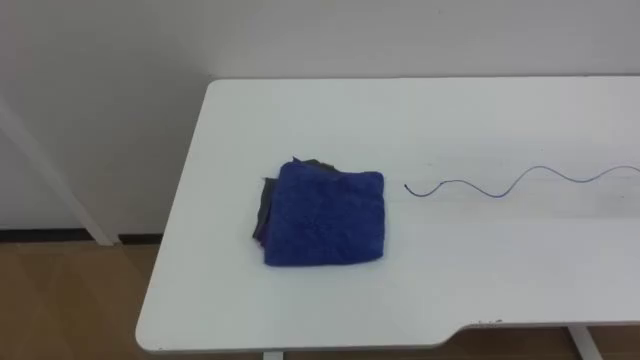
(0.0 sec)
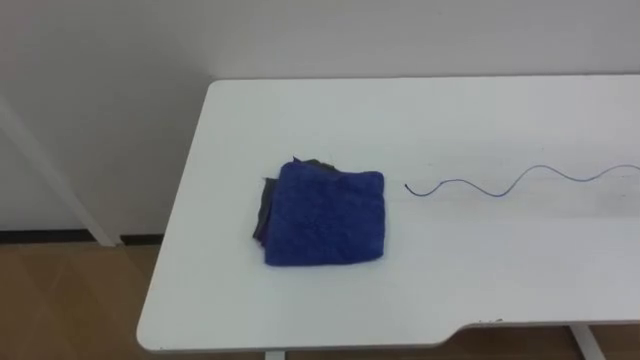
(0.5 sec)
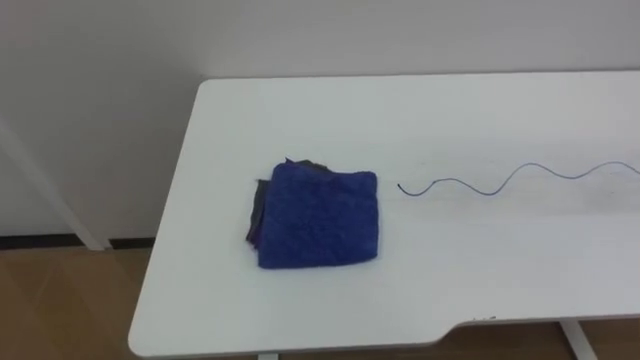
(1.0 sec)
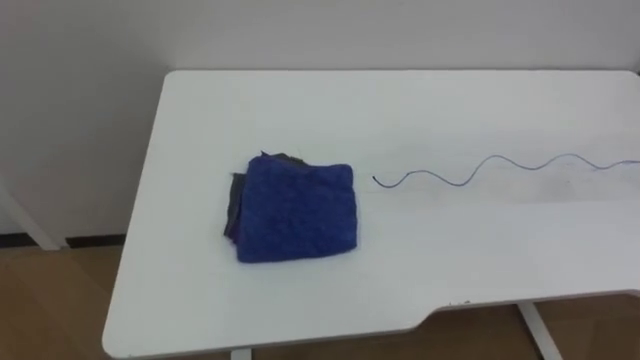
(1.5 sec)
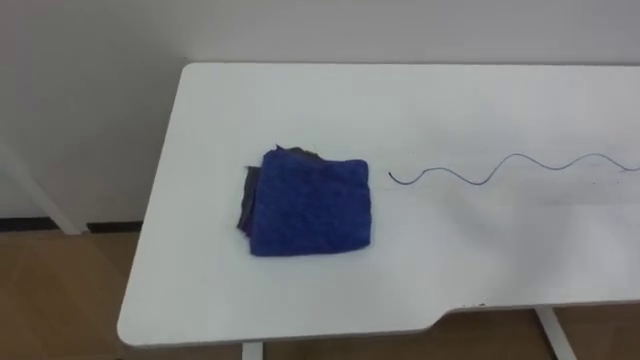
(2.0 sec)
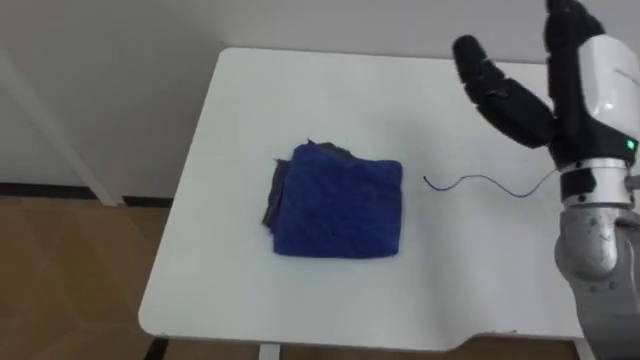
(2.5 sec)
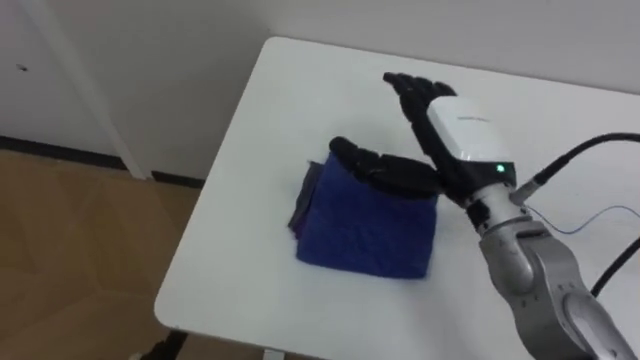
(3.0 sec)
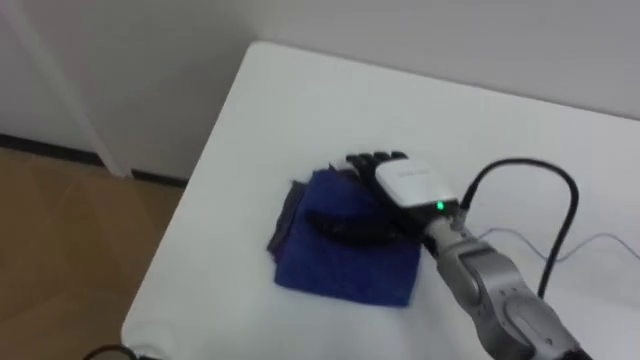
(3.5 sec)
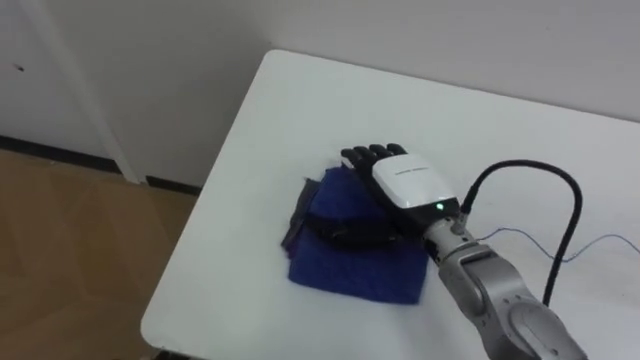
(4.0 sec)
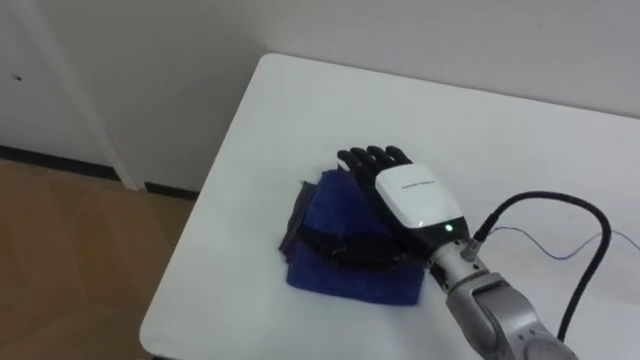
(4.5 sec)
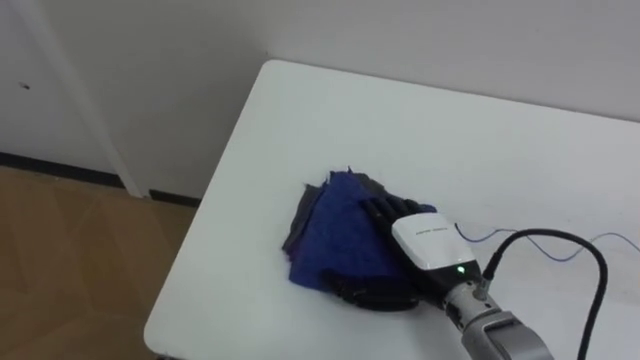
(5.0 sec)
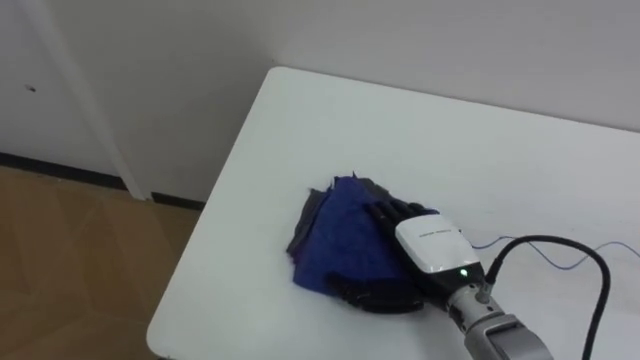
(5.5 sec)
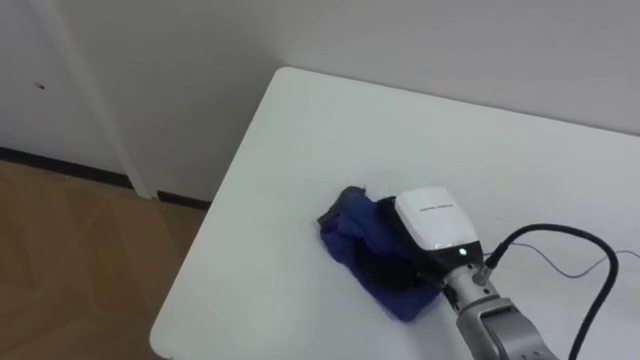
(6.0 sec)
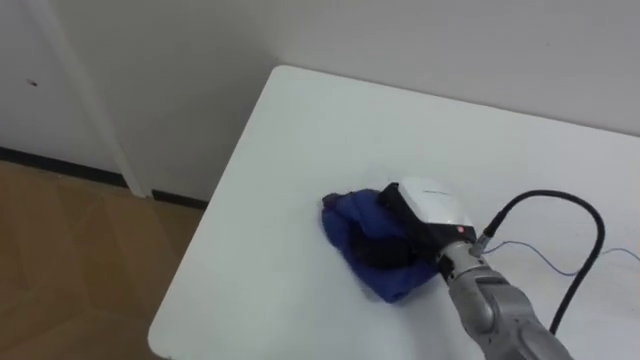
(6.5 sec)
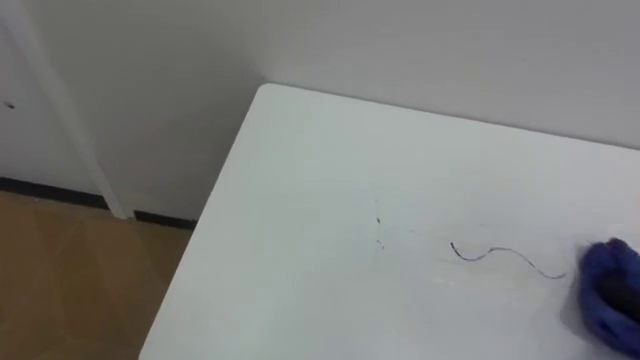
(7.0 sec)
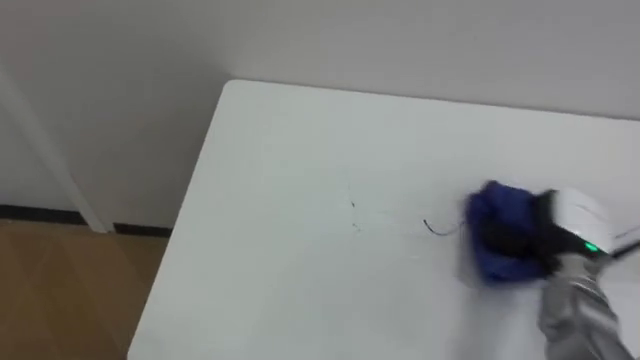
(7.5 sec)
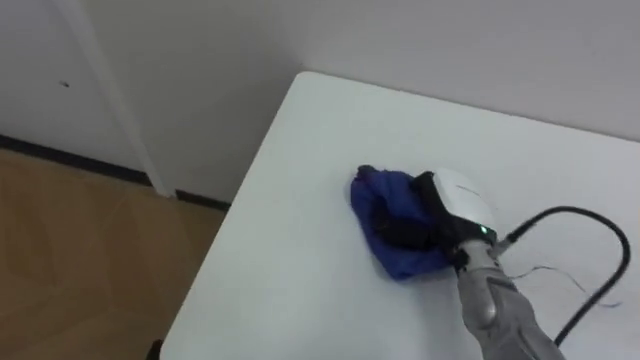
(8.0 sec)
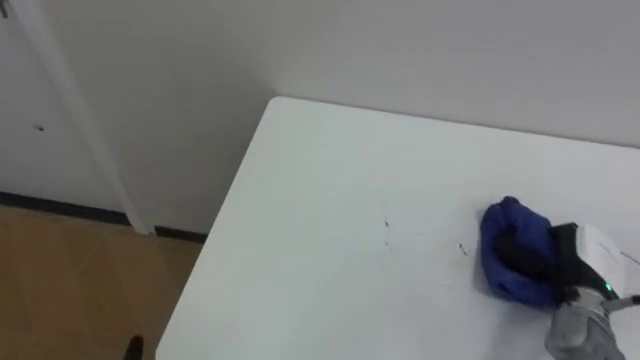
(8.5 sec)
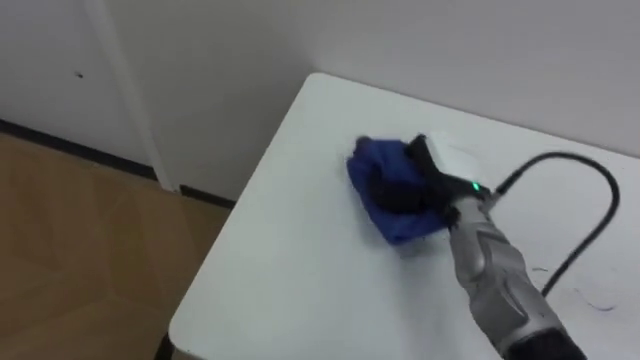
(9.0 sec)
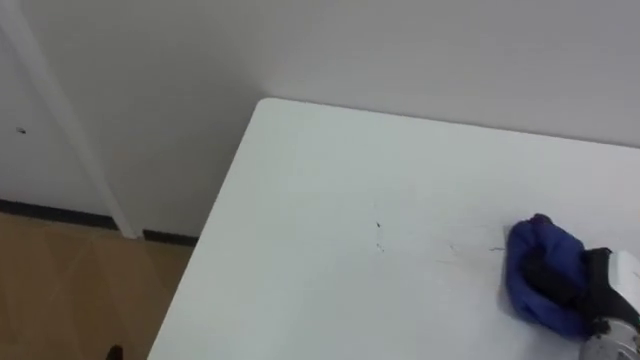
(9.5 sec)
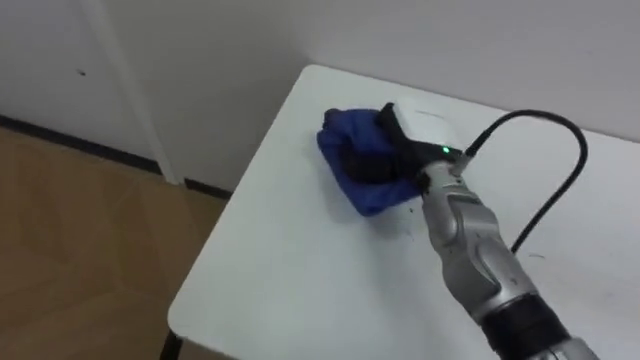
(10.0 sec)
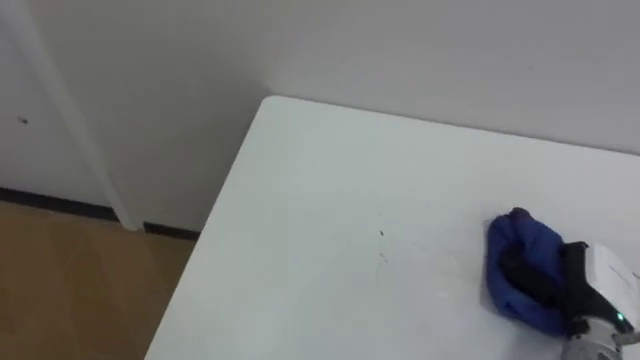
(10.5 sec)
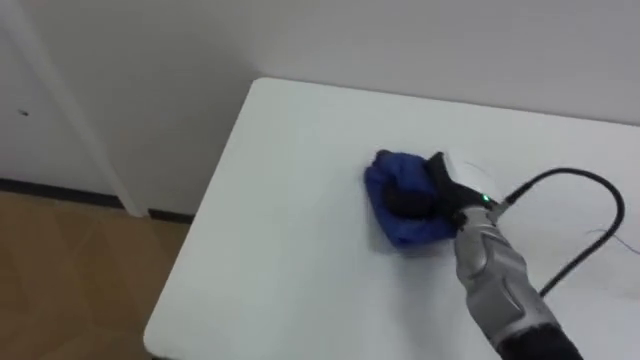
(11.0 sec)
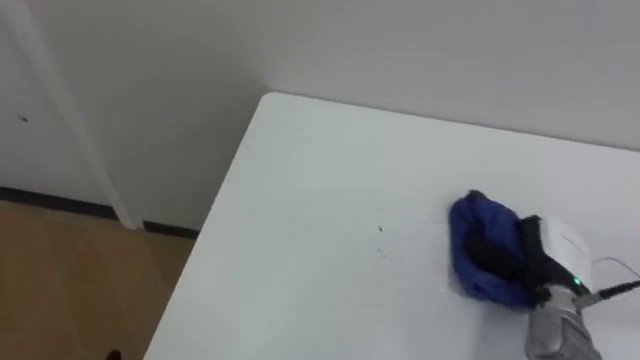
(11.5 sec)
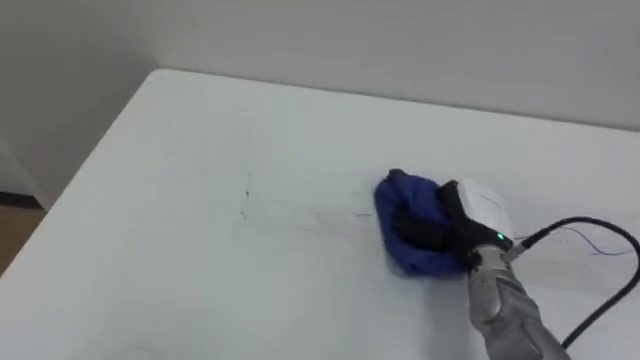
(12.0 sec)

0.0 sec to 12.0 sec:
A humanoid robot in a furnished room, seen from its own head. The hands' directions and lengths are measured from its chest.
Task of the whole recording: Wipe the blue pen marks off the table with the rag.
4.0 sec to 6.0 sec: The right hand closes.
8.0 sec to 10.0 sec: The right hand goes left and right, about 25 cm each way, reversing 3 times.
10.0 sec to 12.0 sec: The right hand goes left and right, approximately 20 cm each way, reversing 3 times.

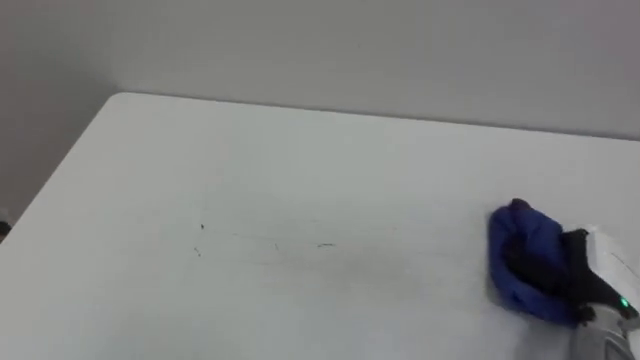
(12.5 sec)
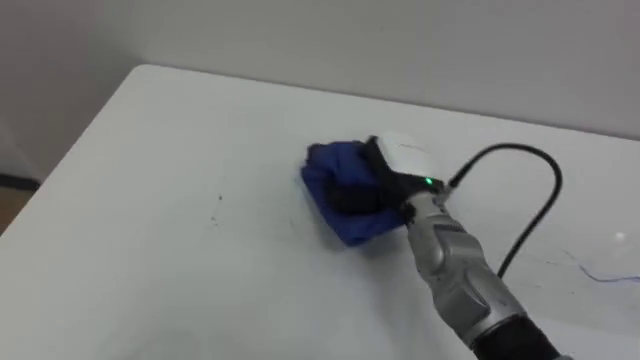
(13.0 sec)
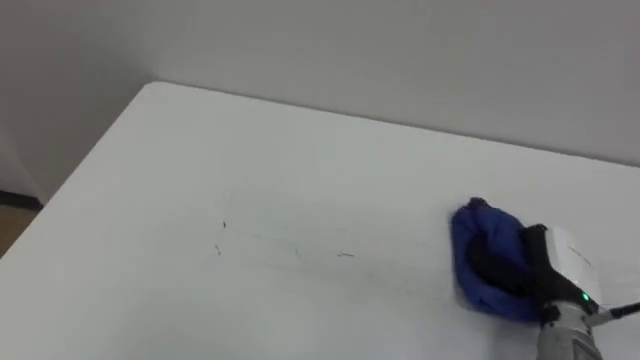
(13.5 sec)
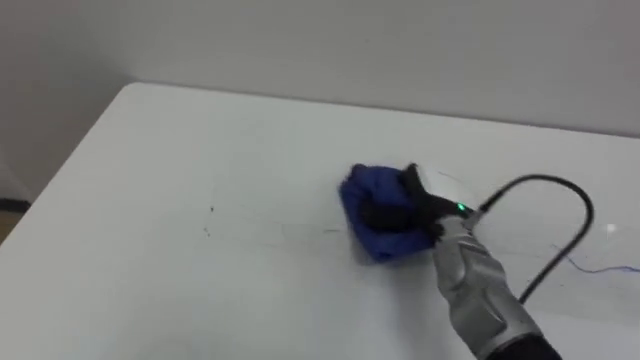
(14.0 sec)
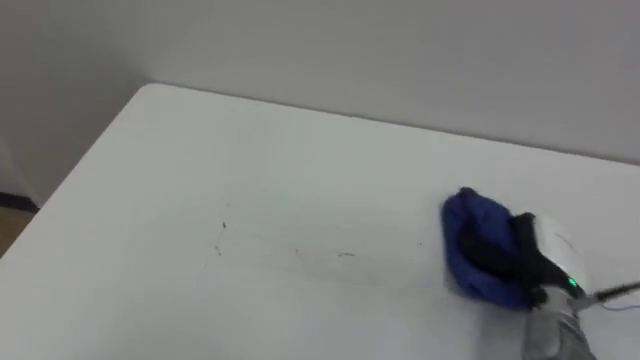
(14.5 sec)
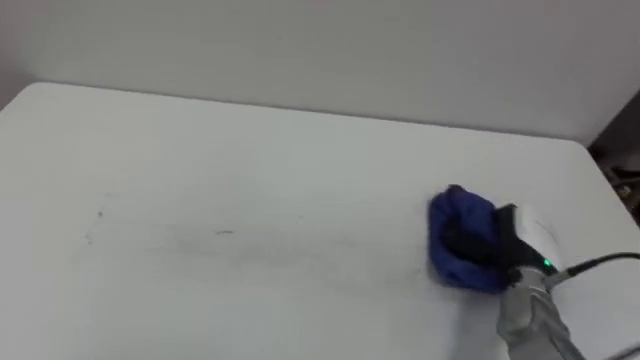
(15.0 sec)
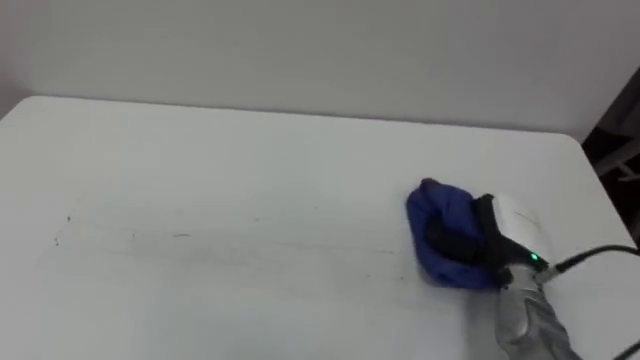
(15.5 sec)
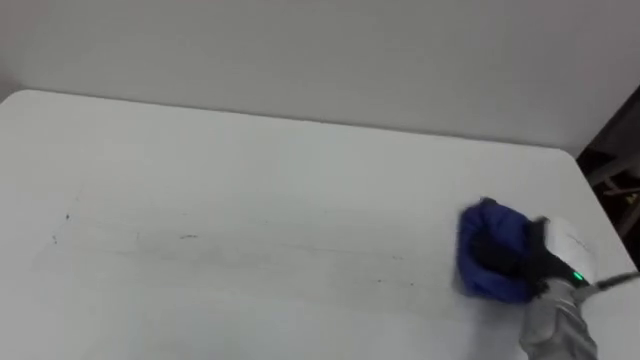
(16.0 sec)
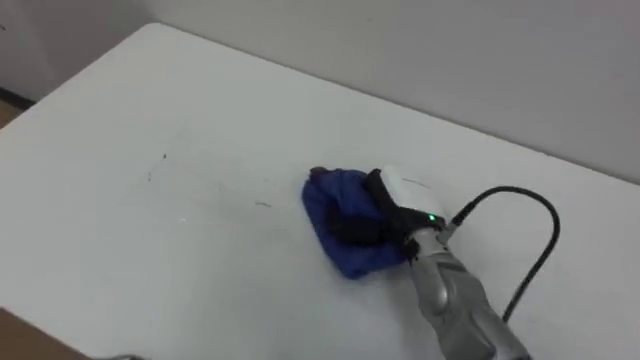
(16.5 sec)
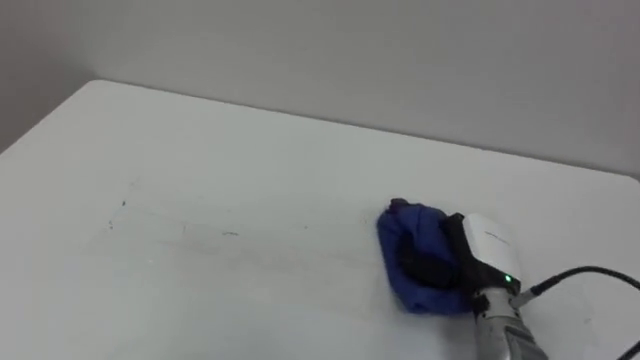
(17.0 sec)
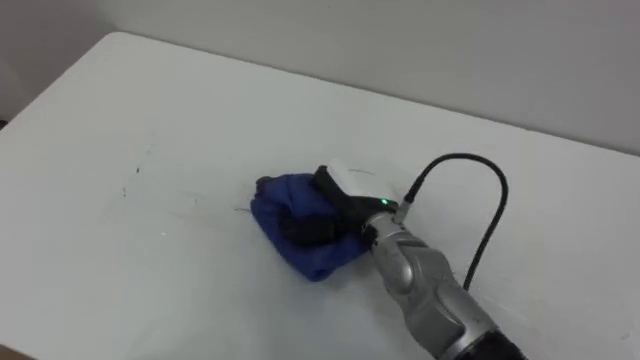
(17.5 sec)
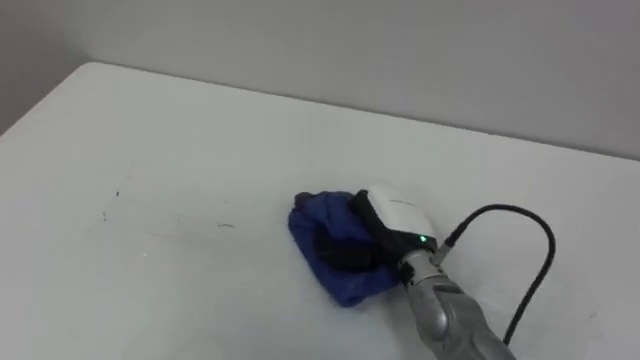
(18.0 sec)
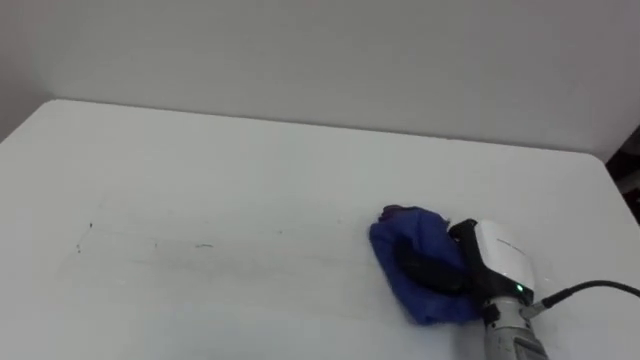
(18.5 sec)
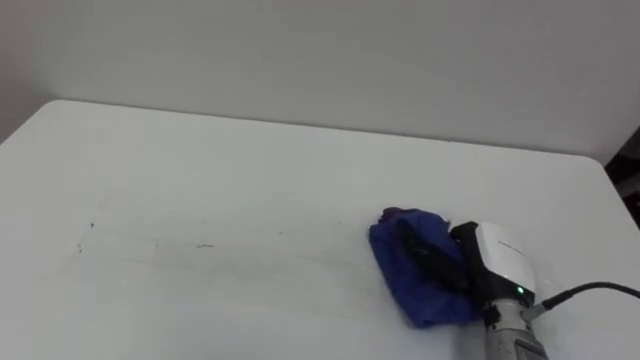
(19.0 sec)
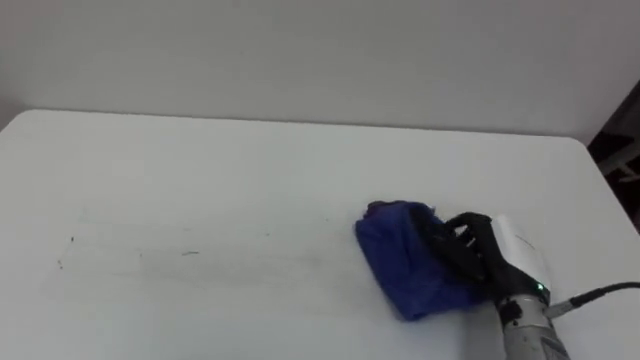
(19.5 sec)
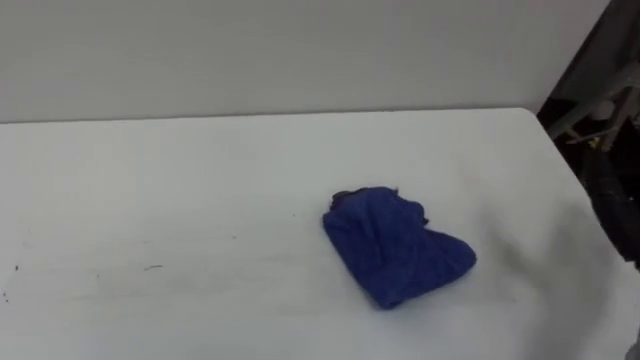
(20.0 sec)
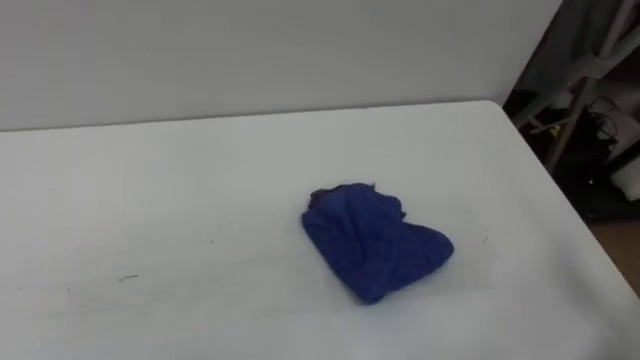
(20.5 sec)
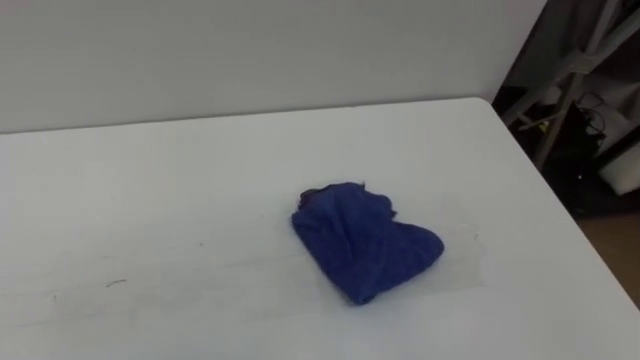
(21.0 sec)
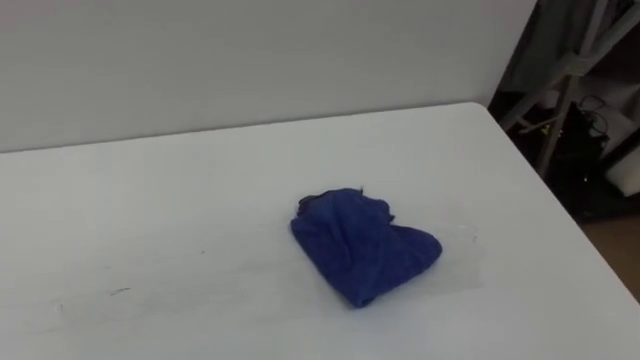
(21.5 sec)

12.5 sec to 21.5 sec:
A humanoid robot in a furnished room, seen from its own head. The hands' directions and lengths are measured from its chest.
Task of the whole recording: Wipe the blue pen marks off the table with the rag.
12.5 sec to 14.5 sec: The right hand moves left and right over some 20 cm, changing direction 3 times.
14.5 sec to 17.0 sec: The right hand goes to the left and returns, approximately 15 cm each way.
17.0 sec to 19.5 sec: The right hand reaches some 15 cm to the left, then returns, and opens up.
